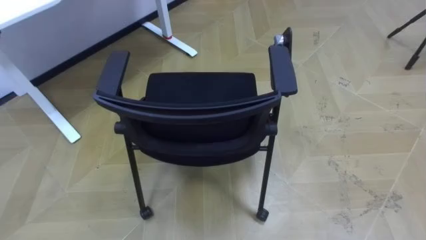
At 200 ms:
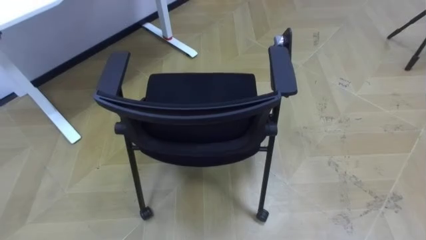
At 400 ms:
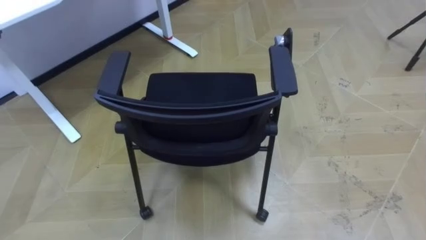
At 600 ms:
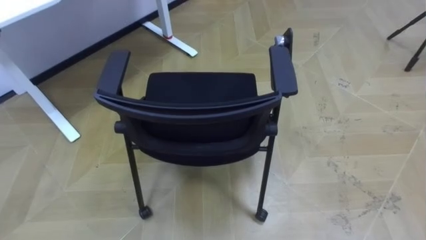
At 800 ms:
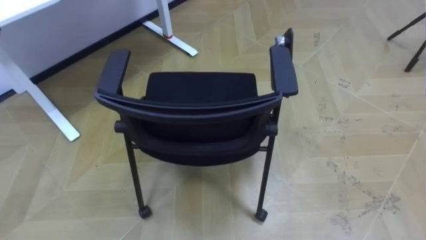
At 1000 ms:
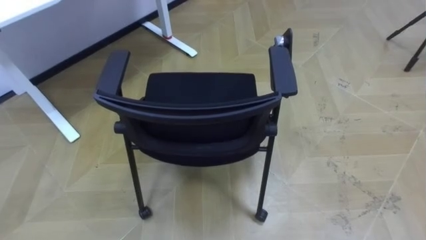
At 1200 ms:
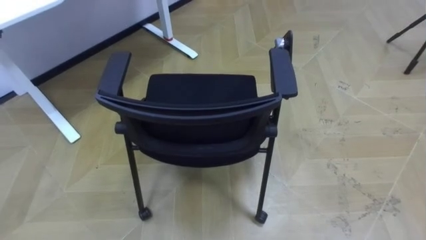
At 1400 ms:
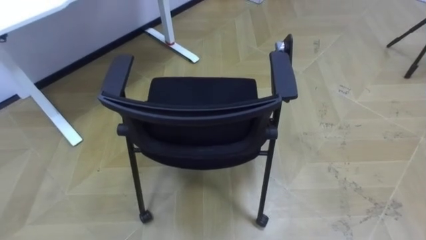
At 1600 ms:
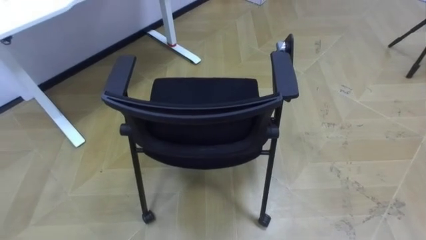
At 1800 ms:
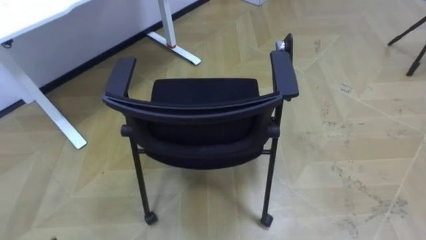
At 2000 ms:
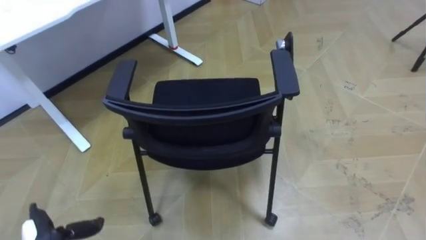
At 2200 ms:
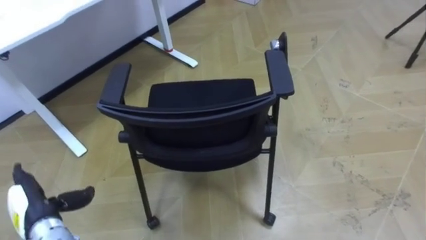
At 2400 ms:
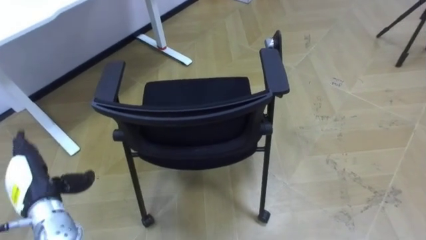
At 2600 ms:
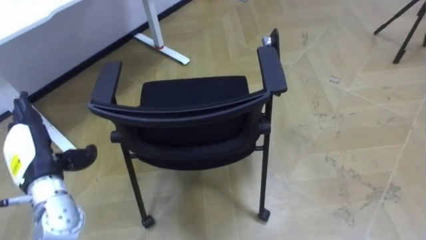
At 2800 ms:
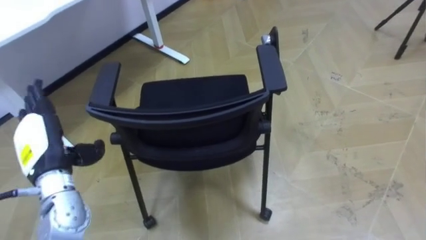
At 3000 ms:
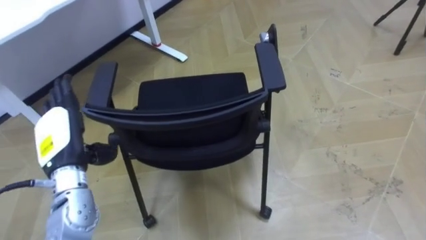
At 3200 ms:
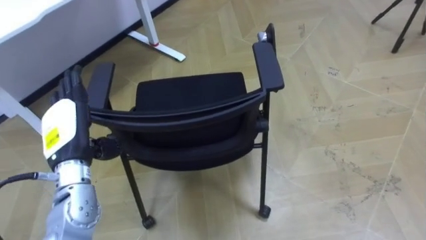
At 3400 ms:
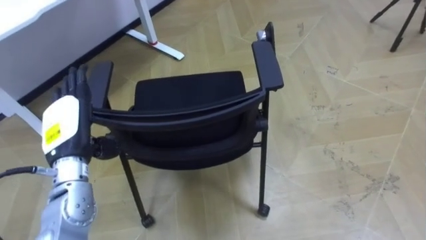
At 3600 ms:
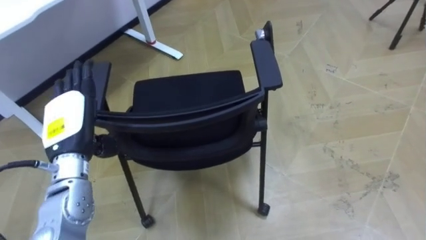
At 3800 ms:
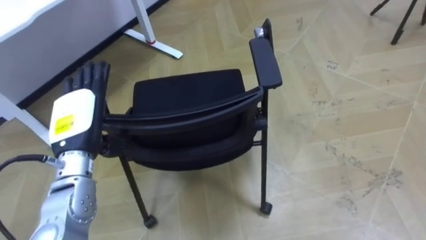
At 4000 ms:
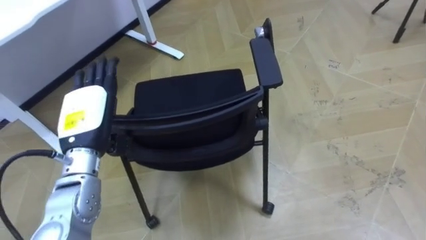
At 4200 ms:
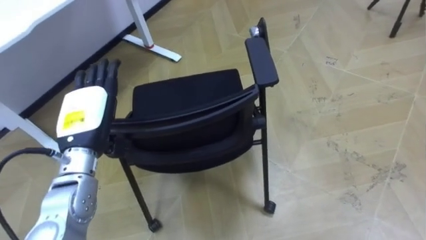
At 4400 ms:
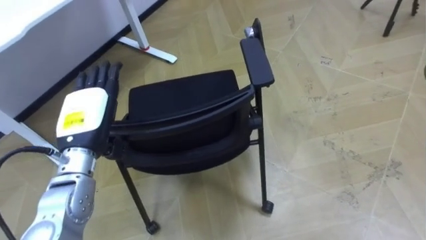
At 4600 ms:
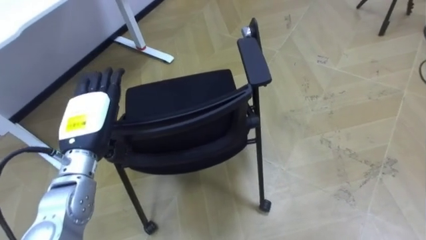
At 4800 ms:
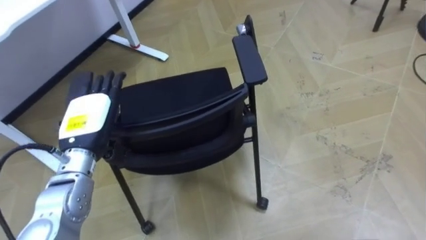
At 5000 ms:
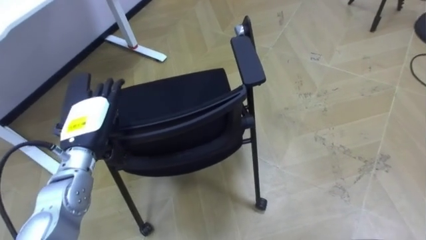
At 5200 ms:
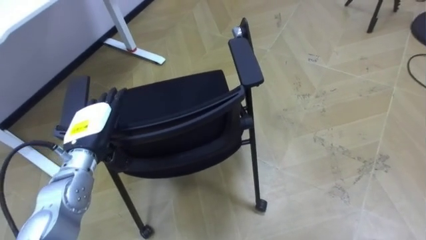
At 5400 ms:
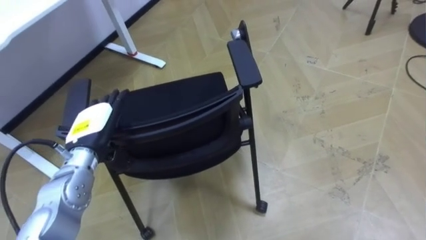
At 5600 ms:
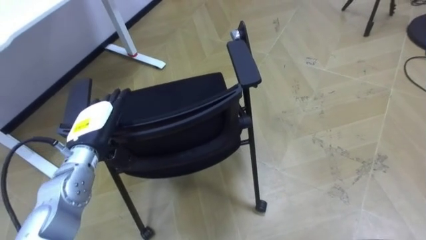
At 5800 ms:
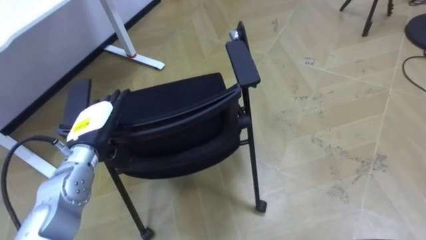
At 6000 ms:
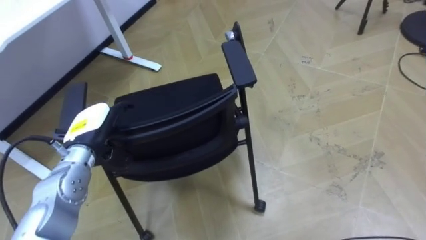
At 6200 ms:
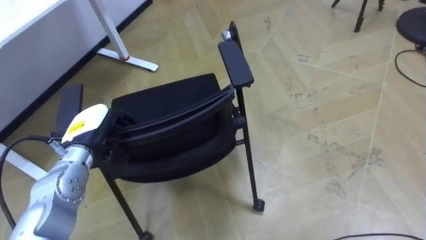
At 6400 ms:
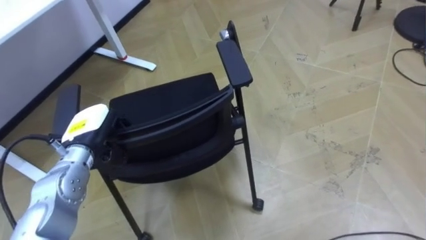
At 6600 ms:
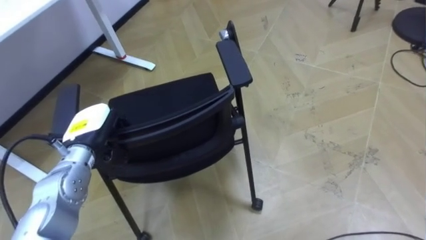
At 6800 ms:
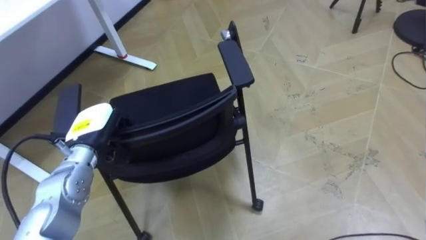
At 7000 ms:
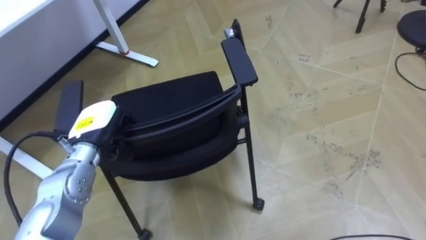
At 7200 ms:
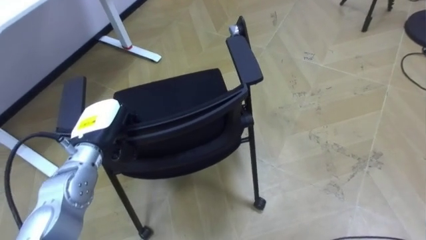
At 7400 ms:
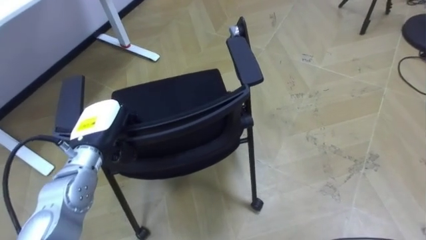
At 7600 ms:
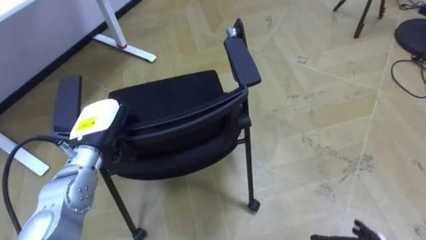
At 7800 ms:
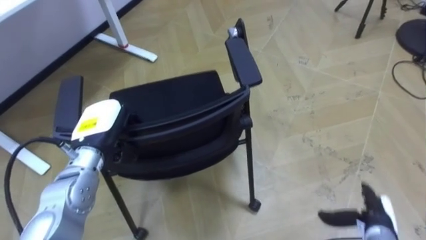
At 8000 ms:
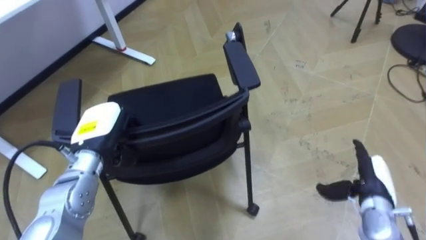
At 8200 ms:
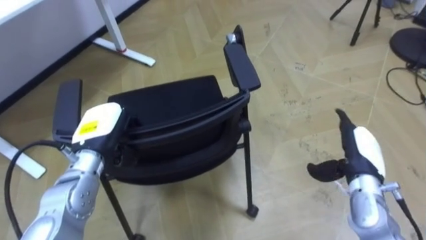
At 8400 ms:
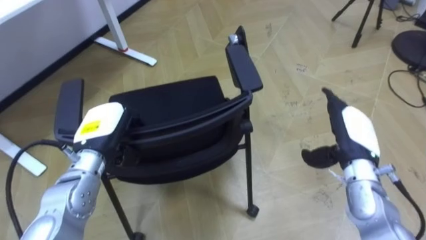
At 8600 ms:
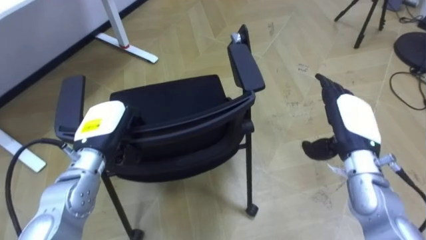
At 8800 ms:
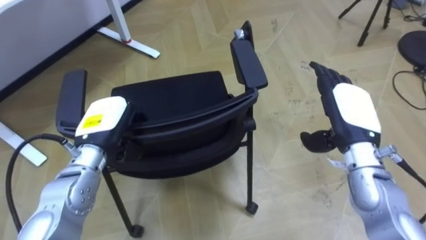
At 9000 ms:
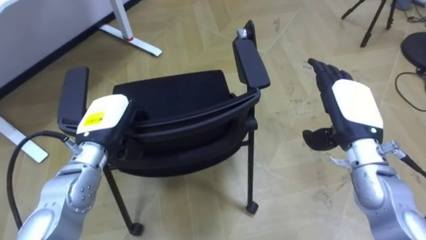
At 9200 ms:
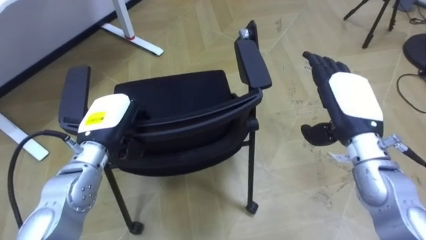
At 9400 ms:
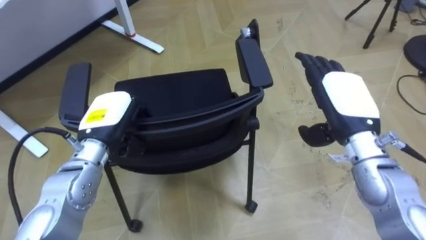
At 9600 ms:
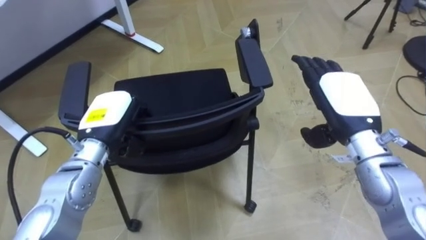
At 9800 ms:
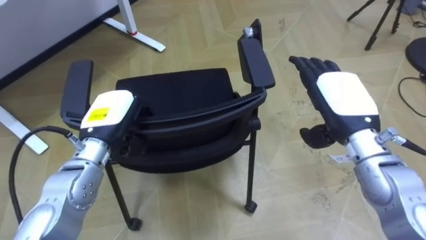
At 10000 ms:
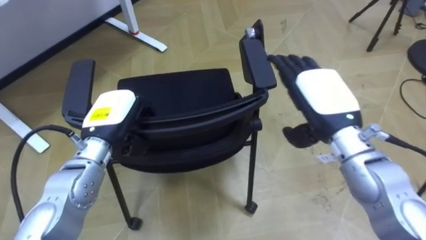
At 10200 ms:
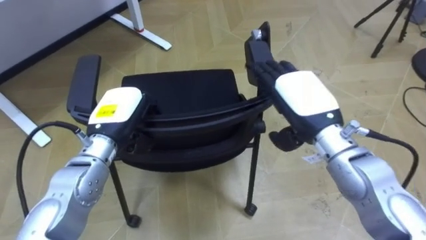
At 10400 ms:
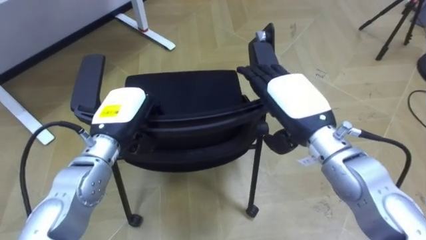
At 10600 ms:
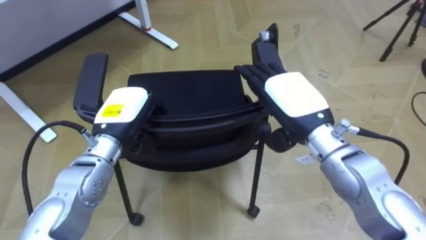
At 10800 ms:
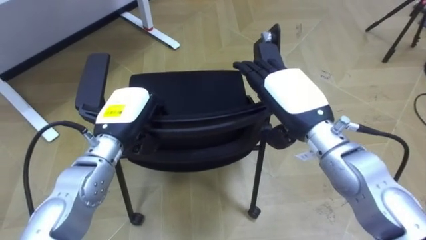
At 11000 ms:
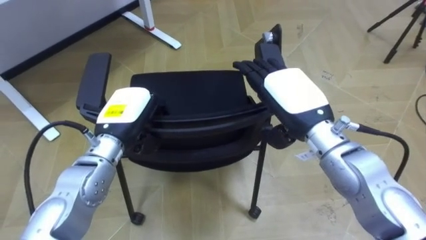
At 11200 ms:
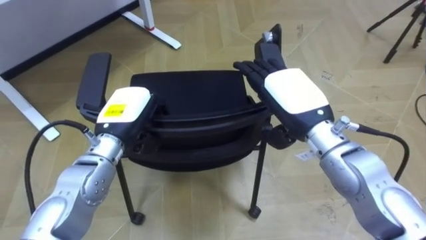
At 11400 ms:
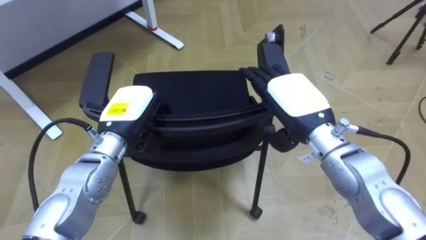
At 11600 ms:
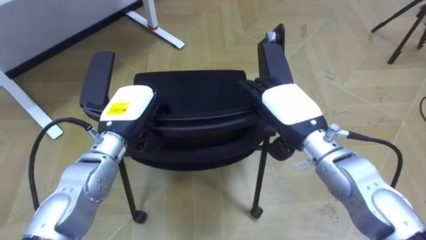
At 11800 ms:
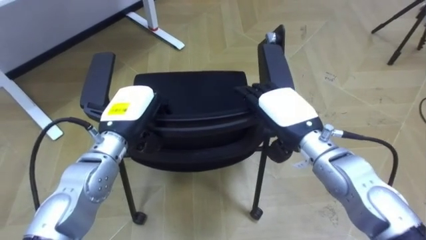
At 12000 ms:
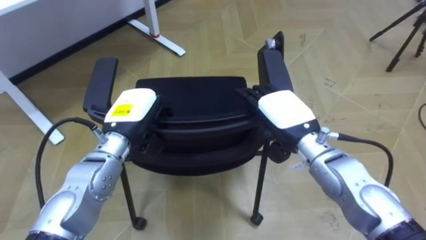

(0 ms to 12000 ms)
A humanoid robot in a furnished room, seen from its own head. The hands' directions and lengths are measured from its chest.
Task of the whole recording: Push the chair under the table.
3000 ms - 4400 ms: The left hand ends up about 5 cm from where it was.
4400 ms - 6000 ms: The left hand shifts about 5 cm downward.
6000 ms - 7600 ms: The left hand closes up.
9000 ms - 10400 ms: The right hand shifts approximately 10 cm to the left.
10400 ms - 12000 ms: The right hand moves downward, about 5 cm.

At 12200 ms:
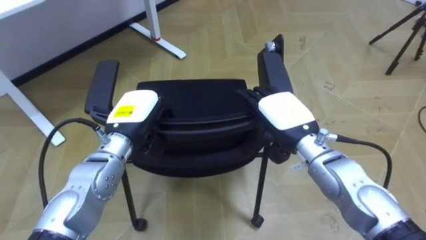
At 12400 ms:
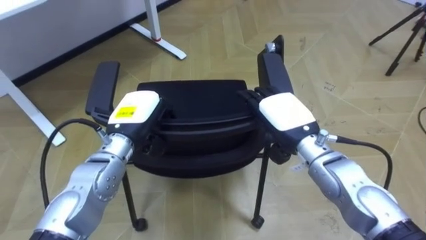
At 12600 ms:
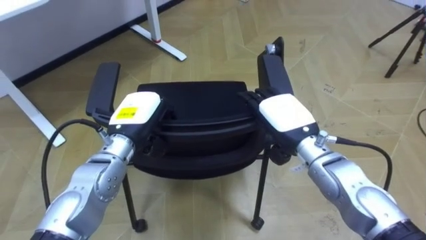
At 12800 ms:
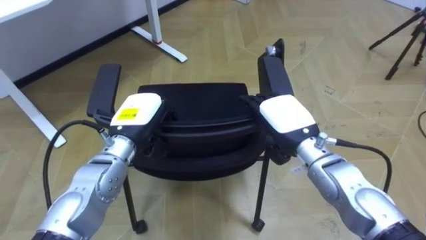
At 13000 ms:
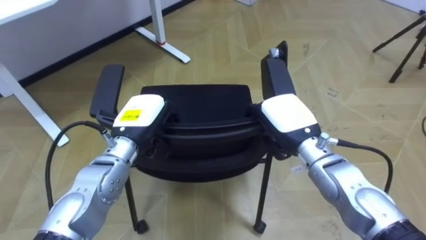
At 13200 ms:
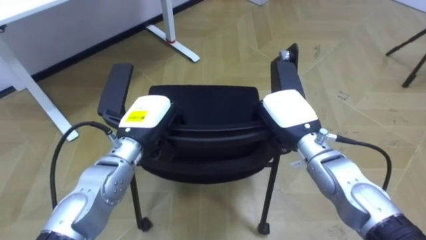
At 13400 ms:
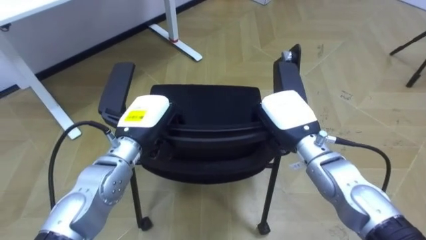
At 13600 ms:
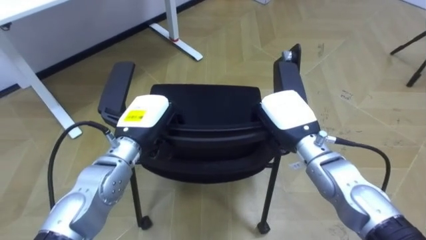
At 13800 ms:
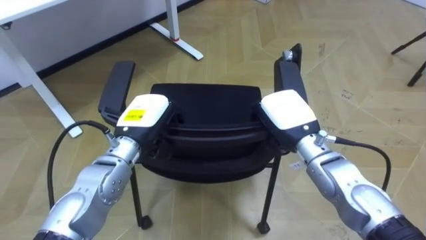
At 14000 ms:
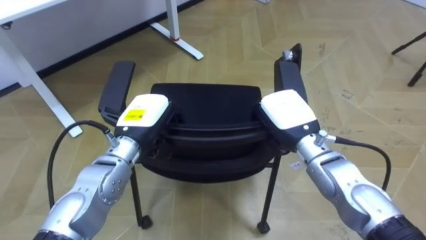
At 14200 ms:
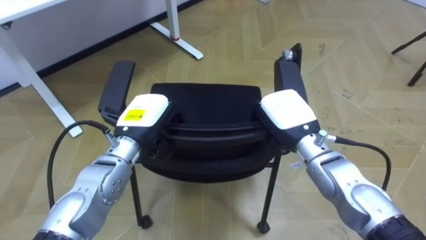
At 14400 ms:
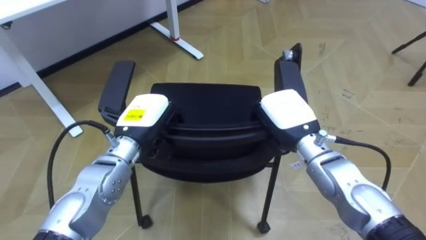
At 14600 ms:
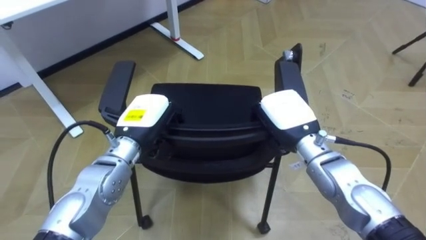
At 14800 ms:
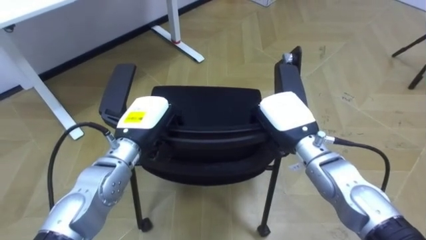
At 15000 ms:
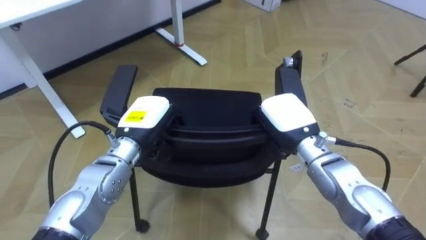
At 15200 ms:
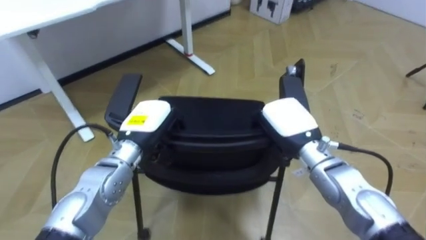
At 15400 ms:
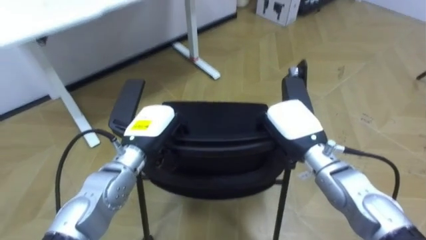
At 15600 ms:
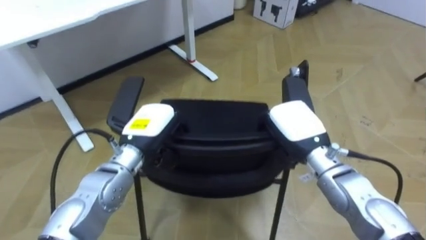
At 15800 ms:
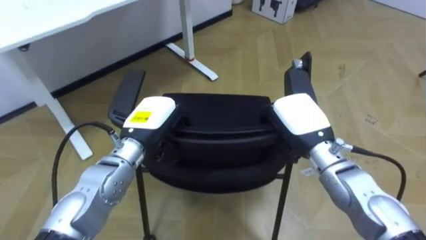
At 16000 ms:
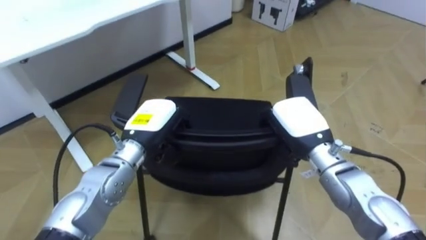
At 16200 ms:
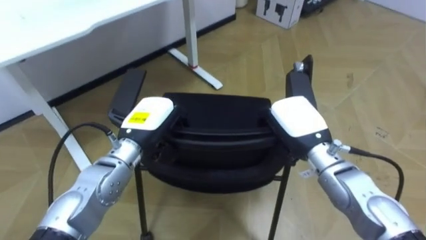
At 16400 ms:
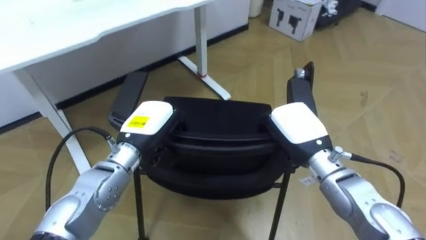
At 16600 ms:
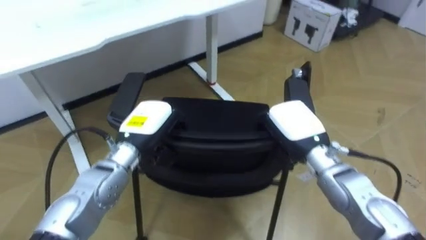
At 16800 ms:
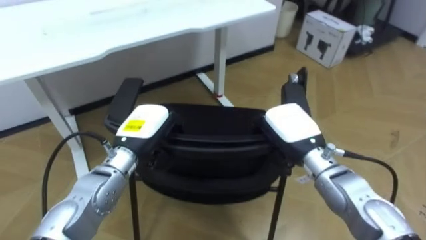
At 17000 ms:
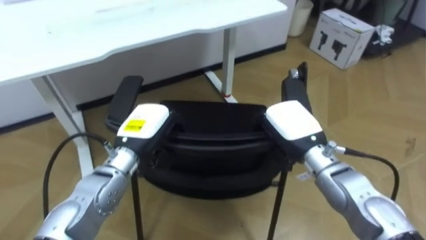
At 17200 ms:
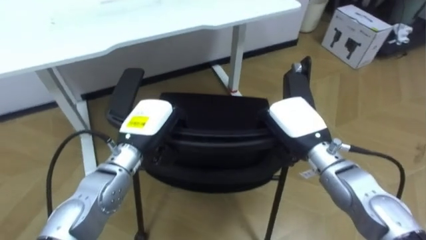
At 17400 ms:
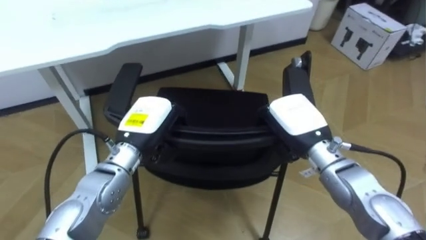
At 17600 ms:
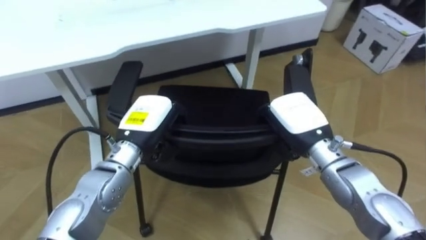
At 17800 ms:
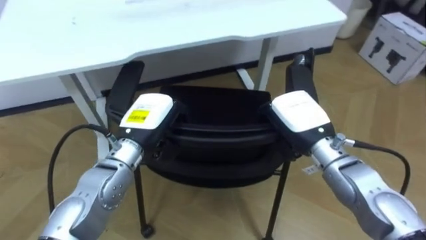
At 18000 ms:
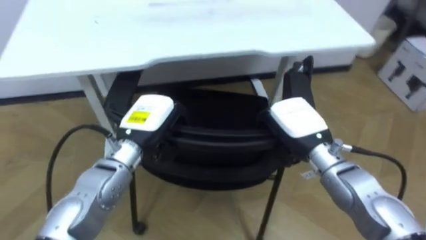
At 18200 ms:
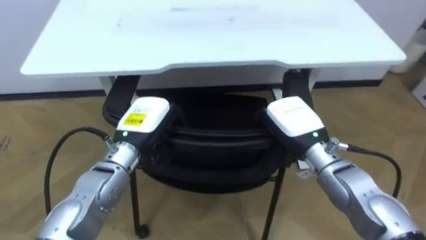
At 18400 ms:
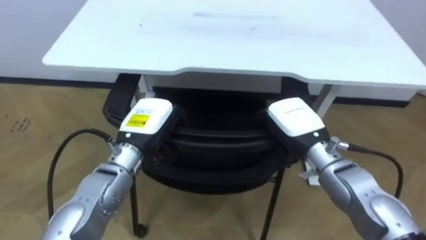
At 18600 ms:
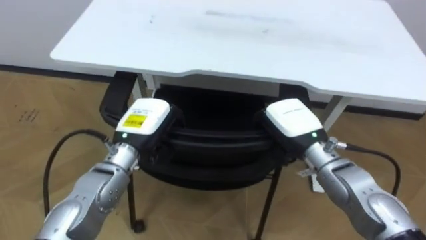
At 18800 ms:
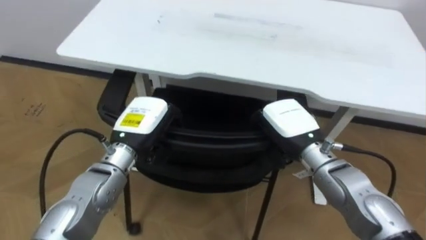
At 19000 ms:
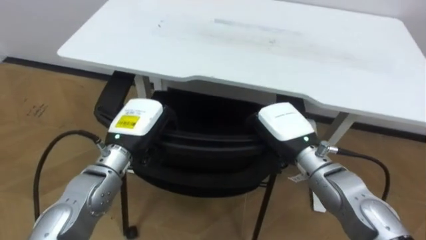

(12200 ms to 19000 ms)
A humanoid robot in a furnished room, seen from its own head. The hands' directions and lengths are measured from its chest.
Task of the whole recording: Push the chair under the table.
12200 ms - 13600 ms: The right hand closes.
16200 ms - 17600 ms: The robot turns to its left by roughly 20 degrees.
17600 ms - 19000 ms: The robot faces roughly 30 degrees further to its left.
